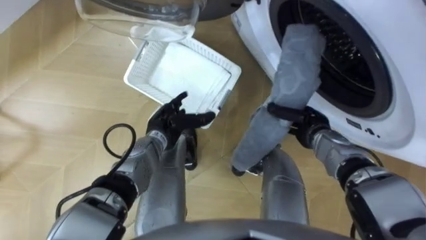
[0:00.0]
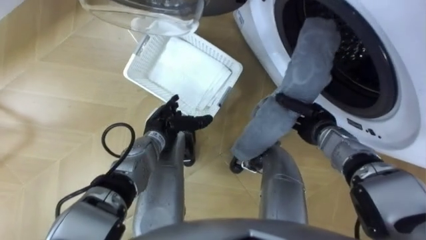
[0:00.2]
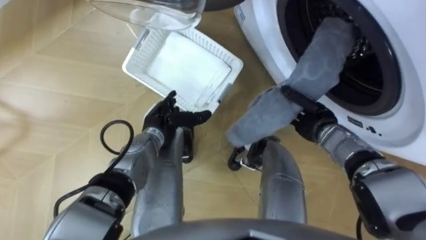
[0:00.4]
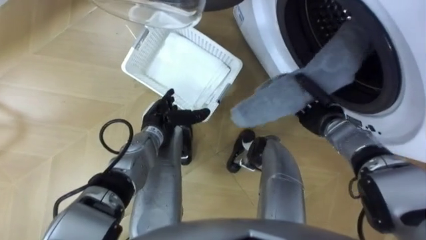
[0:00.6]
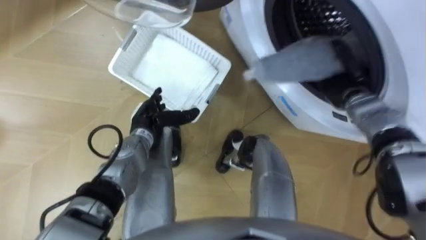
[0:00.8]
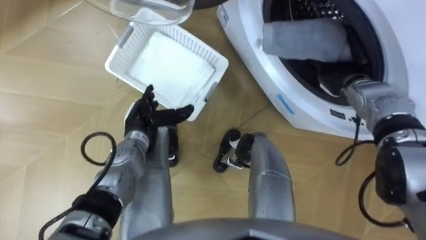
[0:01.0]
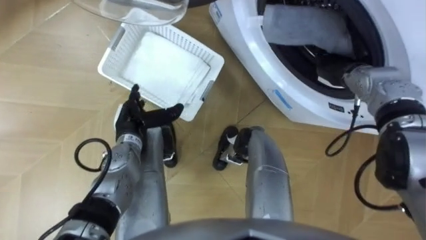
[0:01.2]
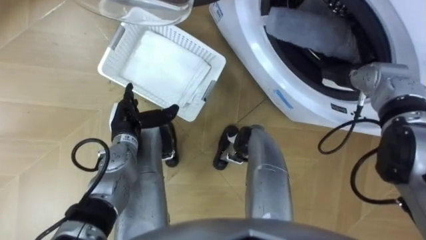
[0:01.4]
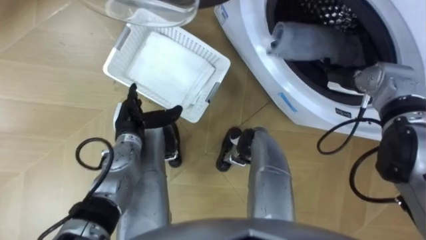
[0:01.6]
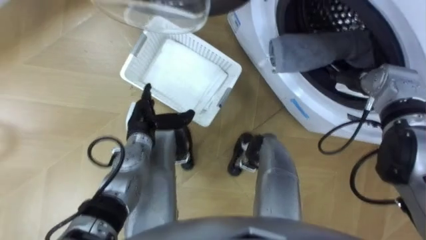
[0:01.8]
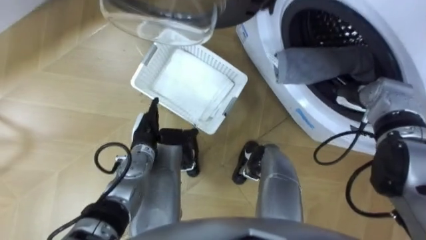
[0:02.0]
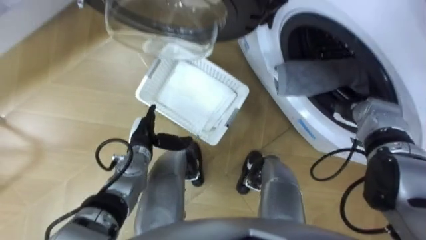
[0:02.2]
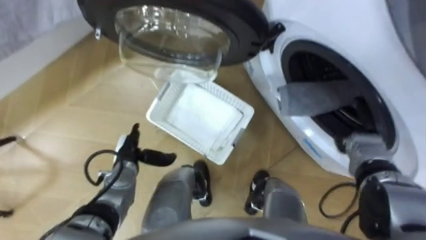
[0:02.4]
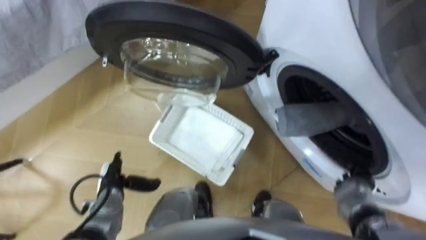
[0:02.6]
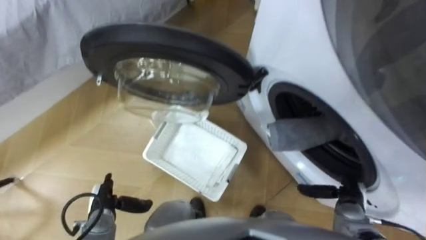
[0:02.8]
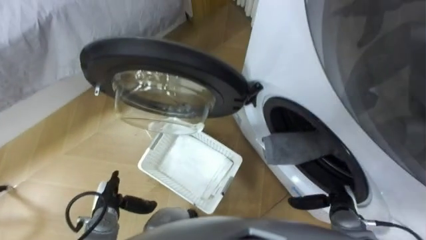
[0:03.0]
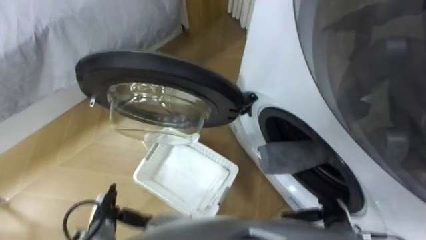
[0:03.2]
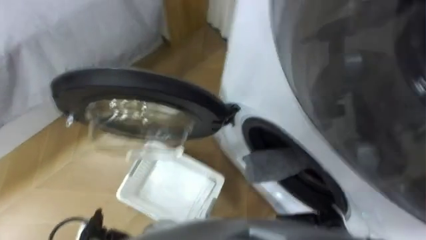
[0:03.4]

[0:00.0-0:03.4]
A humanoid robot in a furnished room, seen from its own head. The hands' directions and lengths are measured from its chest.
Task of the whole recording: Take the towel from the basket and put it into the washing machine.
0:00.0 to 0:01.6: The left hand goes some 5 cm to the left. The right hand heads upward, to the right and forward, covering approximately 15 cm, and opens up.
0:01.6 to 0:03.4: The two hands go about 30 cm backward and downward.

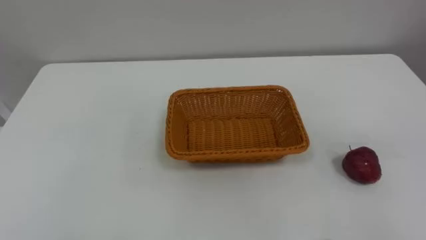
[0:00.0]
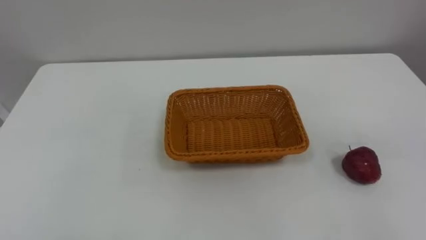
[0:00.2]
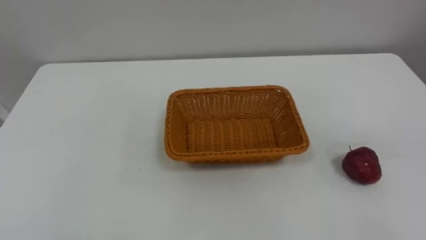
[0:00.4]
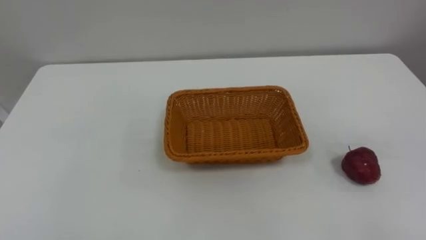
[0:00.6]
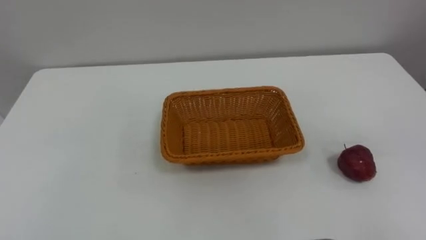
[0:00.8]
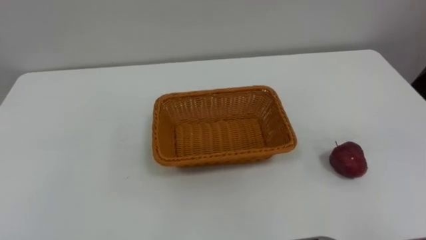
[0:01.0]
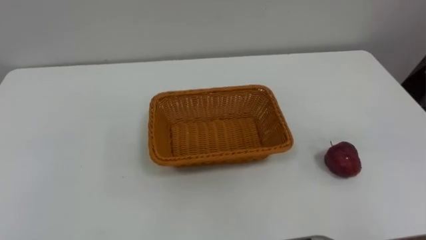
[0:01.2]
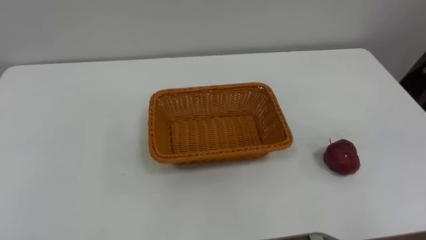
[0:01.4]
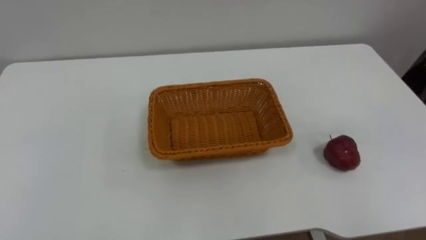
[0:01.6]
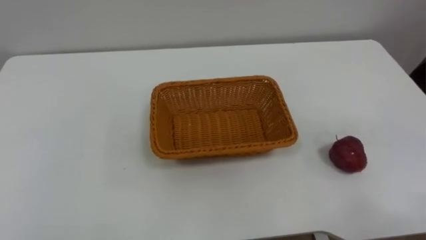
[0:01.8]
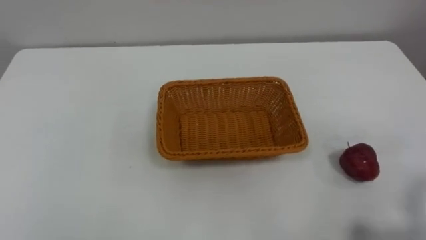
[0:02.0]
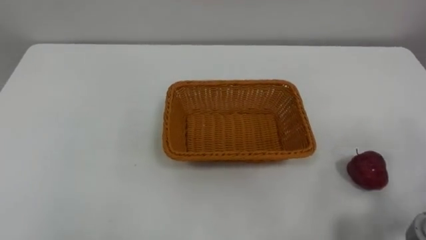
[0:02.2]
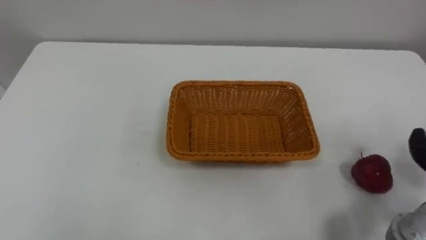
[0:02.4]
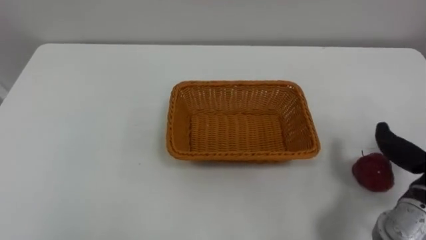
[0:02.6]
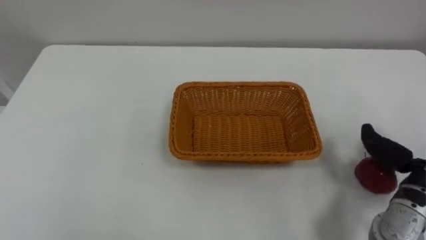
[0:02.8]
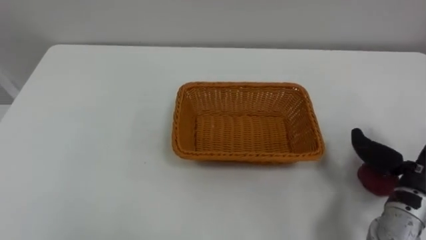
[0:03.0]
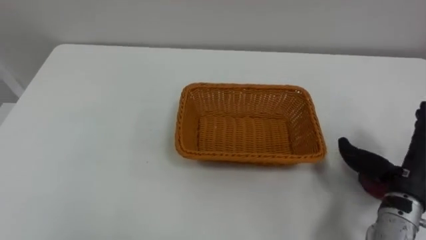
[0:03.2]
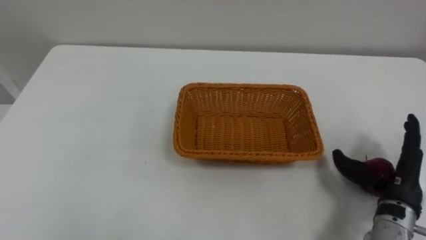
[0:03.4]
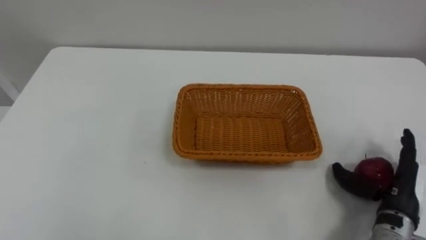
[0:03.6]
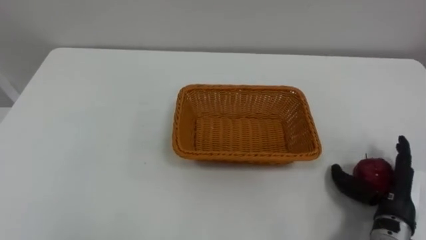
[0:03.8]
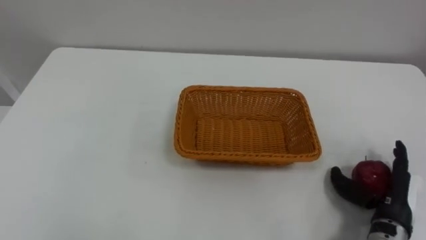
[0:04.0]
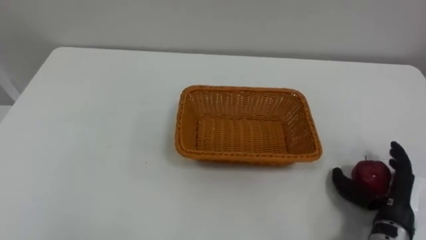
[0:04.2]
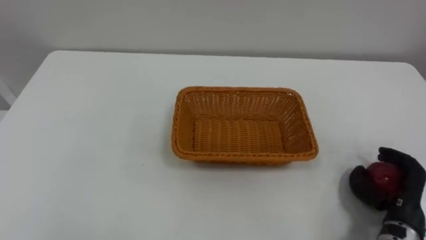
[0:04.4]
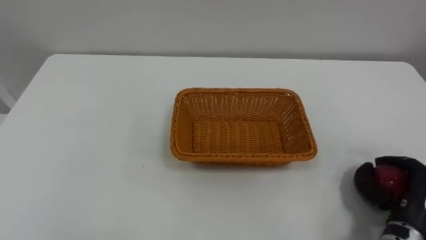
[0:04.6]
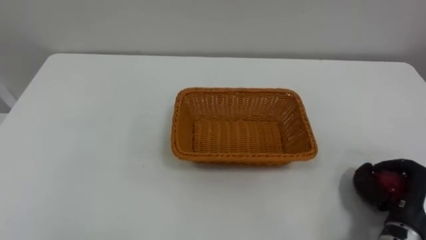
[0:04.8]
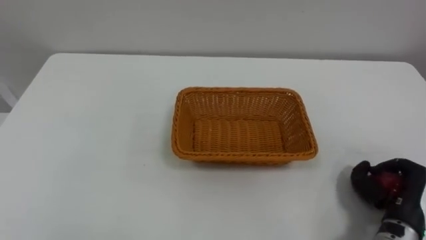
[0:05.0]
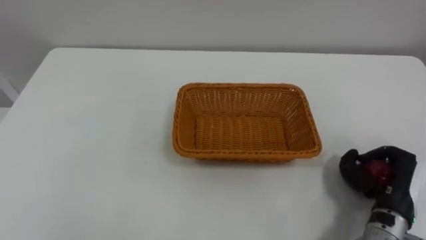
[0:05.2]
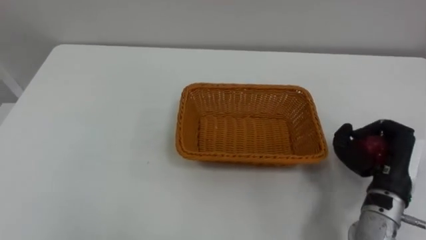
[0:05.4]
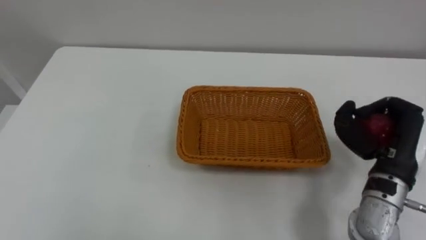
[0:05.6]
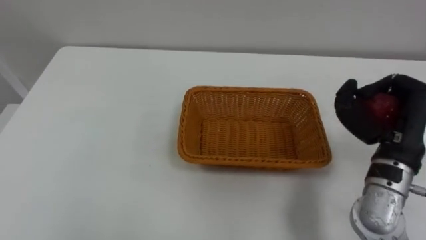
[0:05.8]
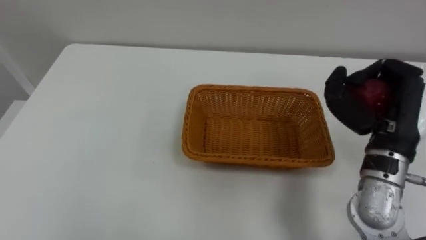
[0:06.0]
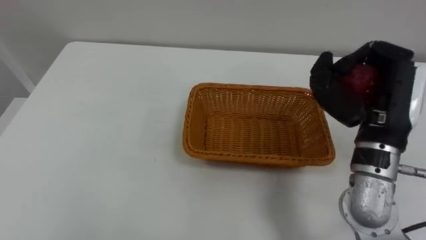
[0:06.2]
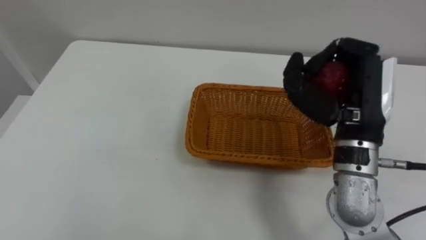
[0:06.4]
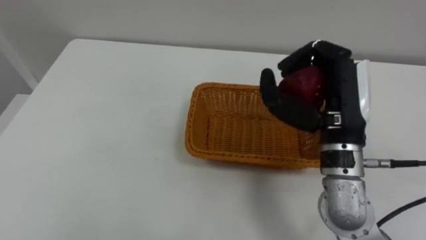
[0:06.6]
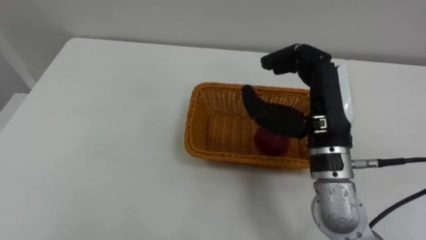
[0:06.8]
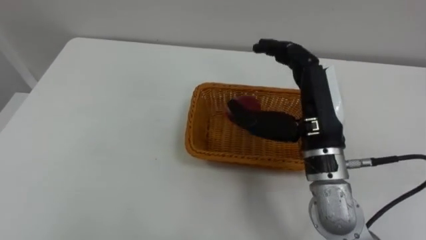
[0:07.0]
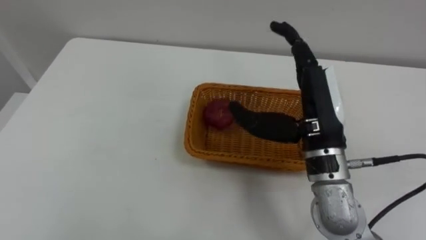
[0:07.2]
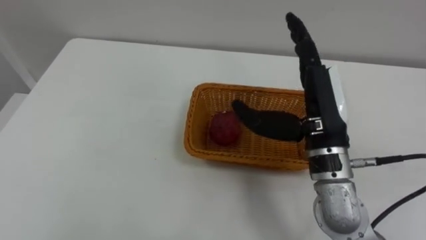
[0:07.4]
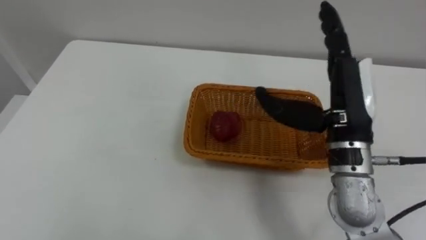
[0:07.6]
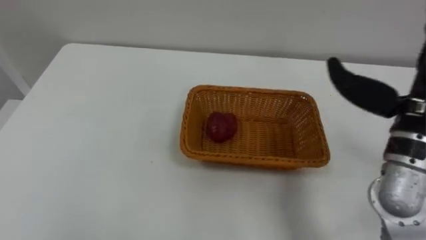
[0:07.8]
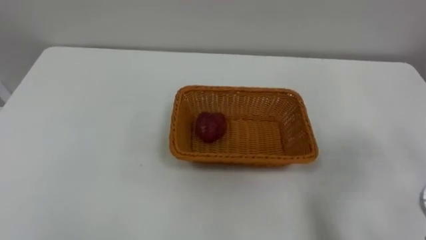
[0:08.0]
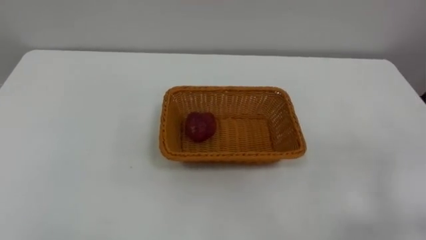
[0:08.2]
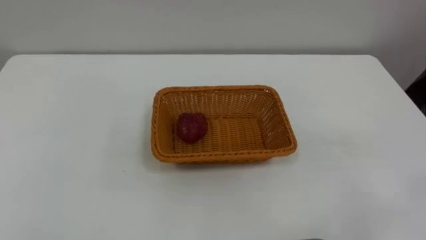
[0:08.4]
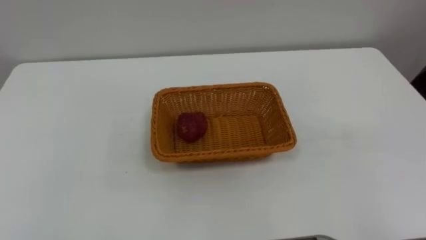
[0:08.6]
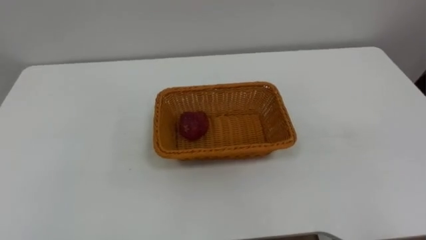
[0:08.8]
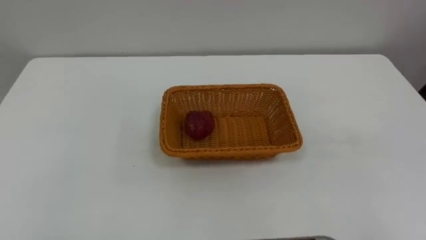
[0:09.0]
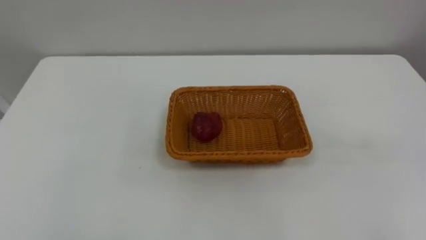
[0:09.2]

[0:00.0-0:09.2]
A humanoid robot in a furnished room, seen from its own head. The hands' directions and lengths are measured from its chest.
Task of the whole recording: Pick the apple and place it in the box.
0:03.0 to 0:04.6: The right hand shifts roughly 10 cm downward, and closes up.
0:04.6 to 0:06.2: The right hand is displaced upward, to the left and forward by some 25 cm.
0:06.2 to 0:07.6: The right hand shifts approximately 5 cm to the left, and opens.

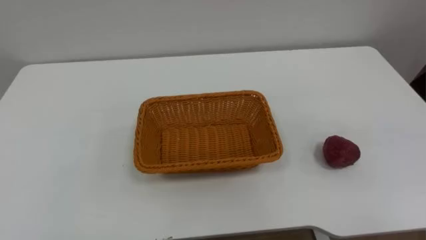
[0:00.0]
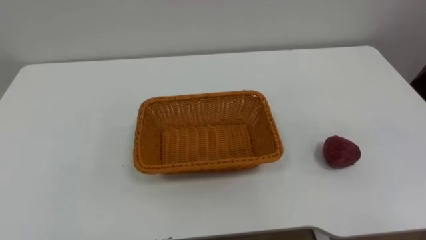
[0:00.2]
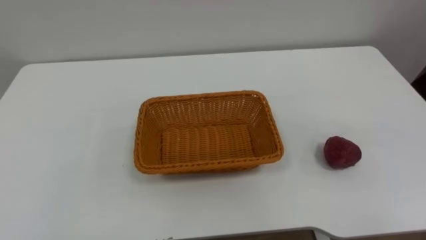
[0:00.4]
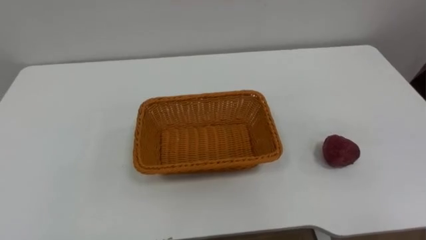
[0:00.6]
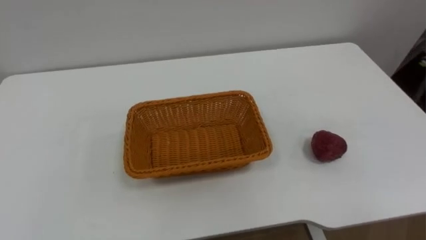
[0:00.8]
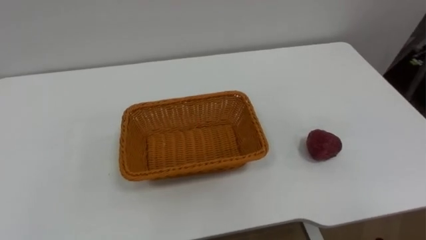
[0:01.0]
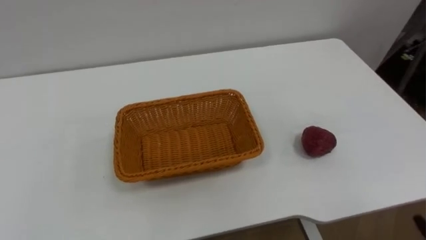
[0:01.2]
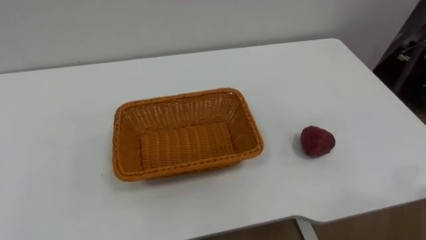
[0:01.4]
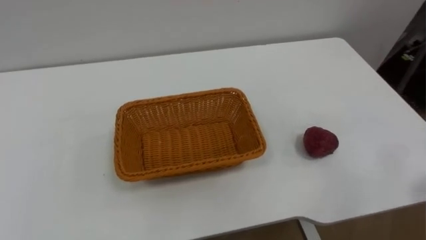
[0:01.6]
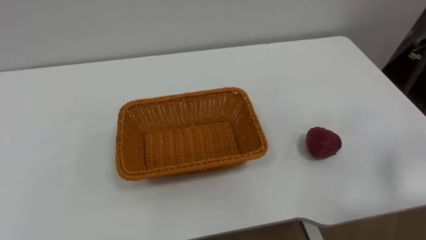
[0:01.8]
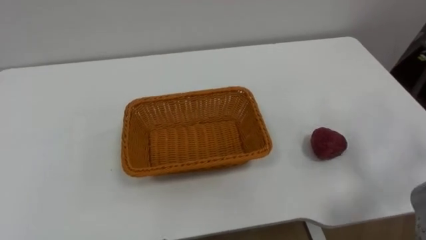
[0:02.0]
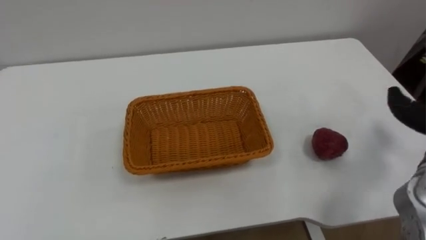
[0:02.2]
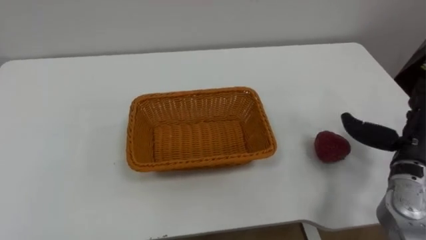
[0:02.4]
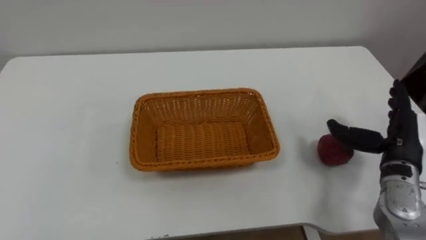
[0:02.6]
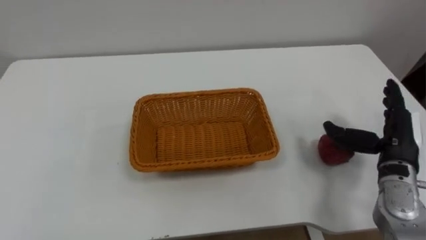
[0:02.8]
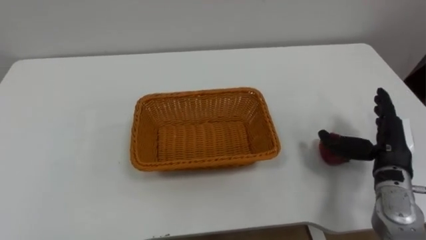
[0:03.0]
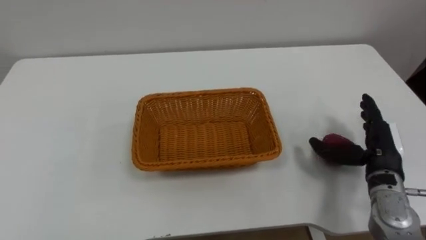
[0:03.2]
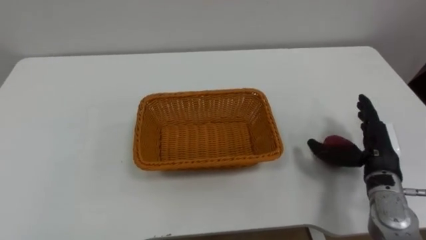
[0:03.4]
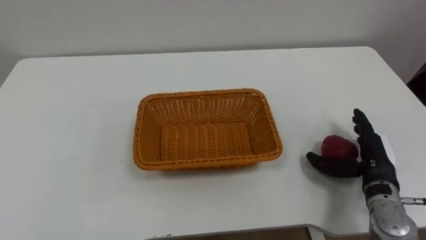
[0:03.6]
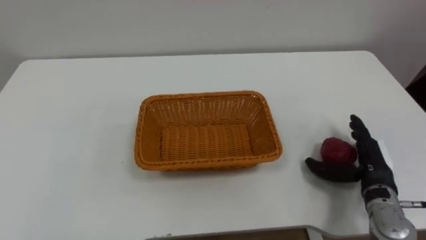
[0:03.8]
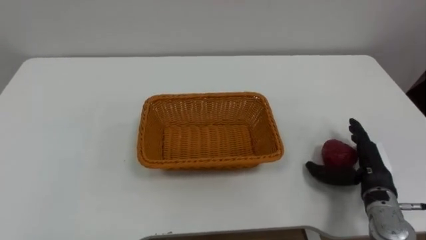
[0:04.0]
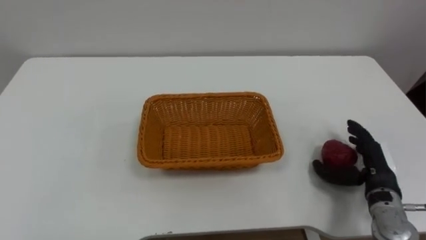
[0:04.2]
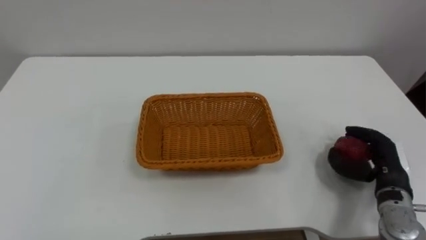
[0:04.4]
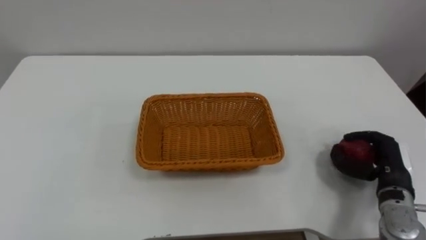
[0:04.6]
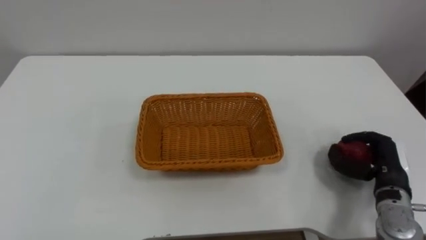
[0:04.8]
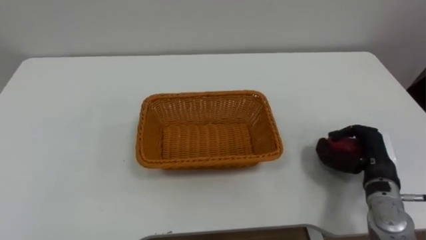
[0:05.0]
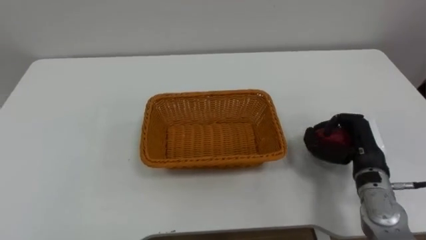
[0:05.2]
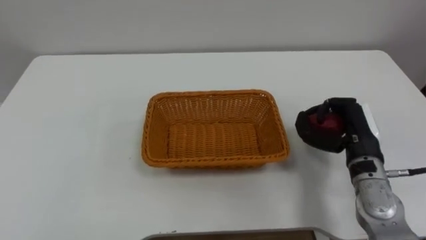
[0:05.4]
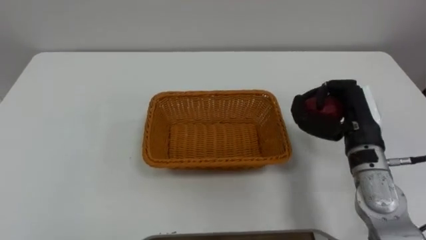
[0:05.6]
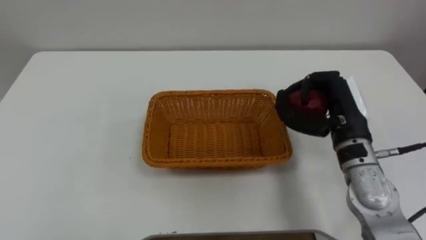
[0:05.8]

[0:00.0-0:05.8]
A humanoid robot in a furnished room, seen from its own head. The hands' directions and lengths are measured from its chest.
Task of the whole recording: Pick the apple and place it in the box.
0:02.8 to 0:04.4: The right hand is displaced downward by roughly 5 cm, and closes.
0:04.4 to 0:05.8: The right hand shifts approximately 15 cm upward, to the left and forward, and closes its fingers.
